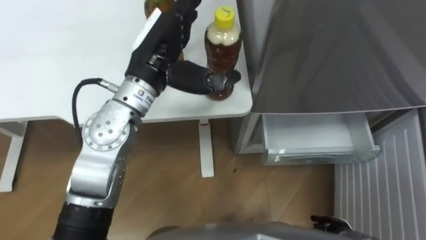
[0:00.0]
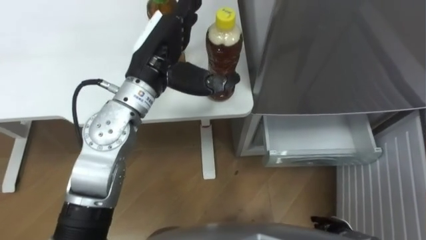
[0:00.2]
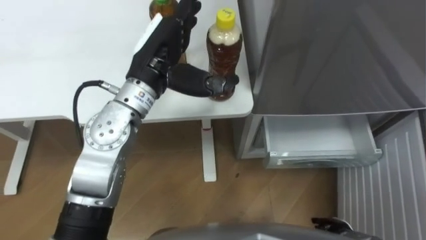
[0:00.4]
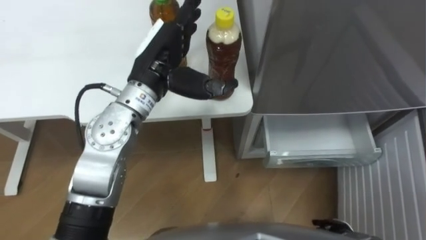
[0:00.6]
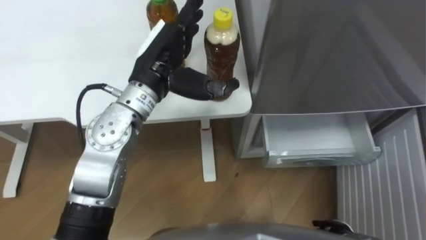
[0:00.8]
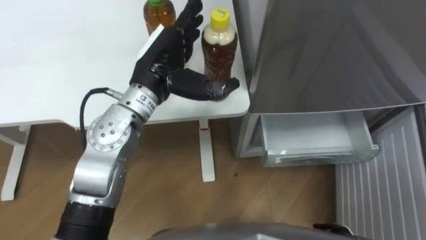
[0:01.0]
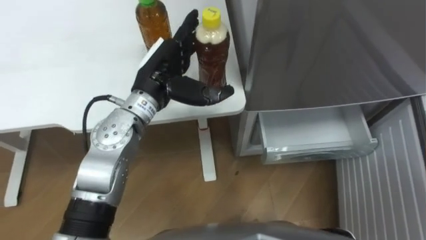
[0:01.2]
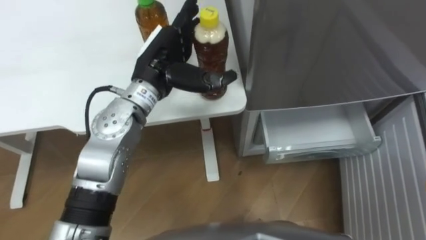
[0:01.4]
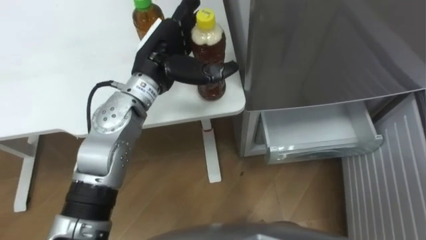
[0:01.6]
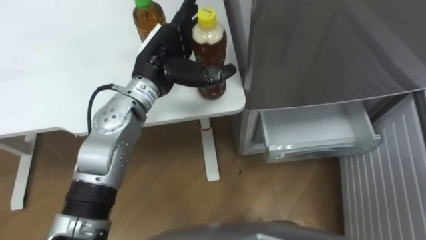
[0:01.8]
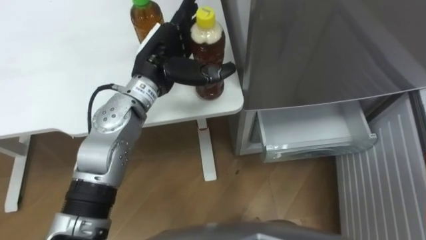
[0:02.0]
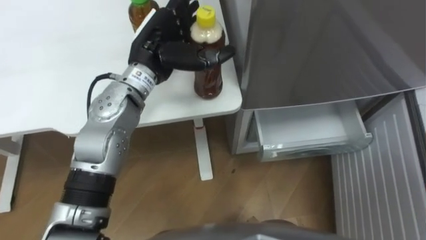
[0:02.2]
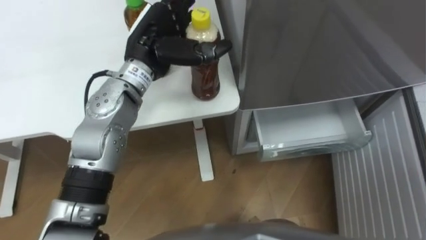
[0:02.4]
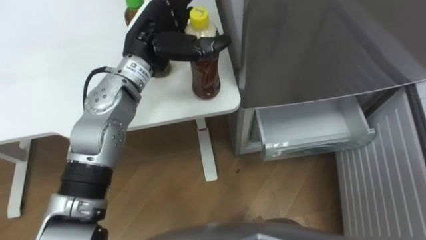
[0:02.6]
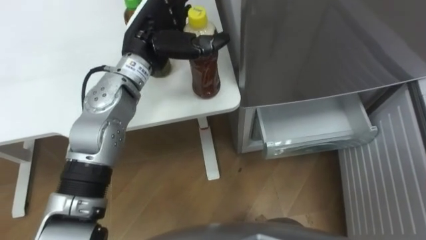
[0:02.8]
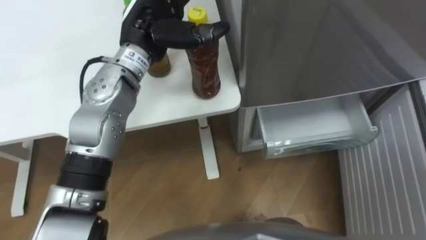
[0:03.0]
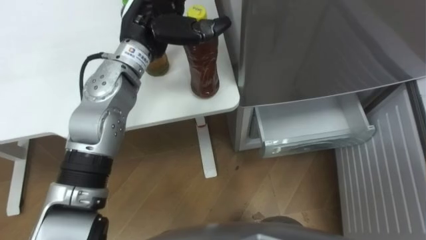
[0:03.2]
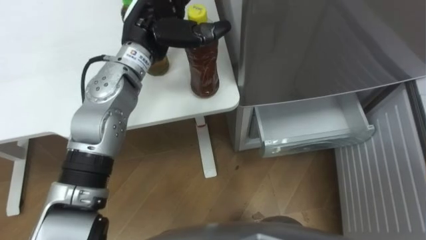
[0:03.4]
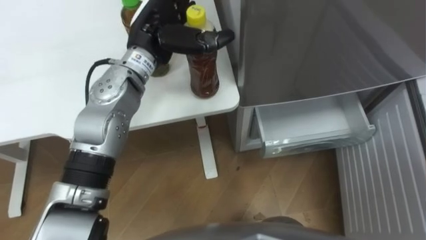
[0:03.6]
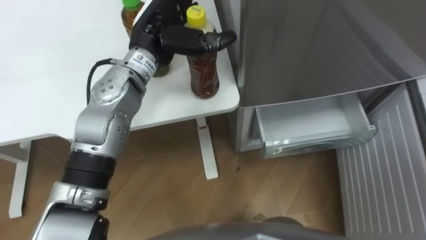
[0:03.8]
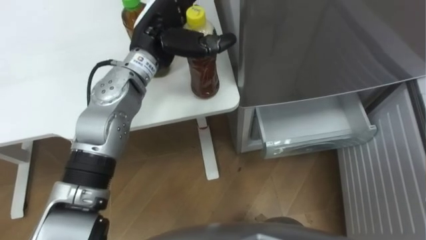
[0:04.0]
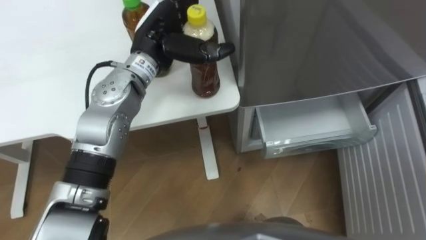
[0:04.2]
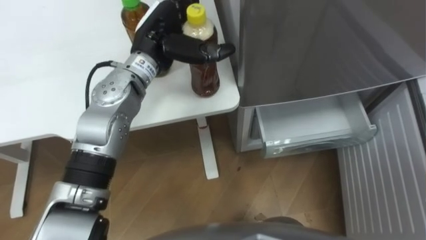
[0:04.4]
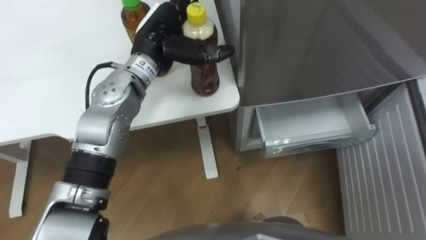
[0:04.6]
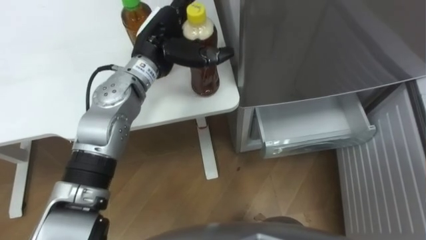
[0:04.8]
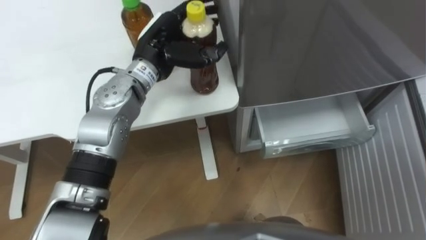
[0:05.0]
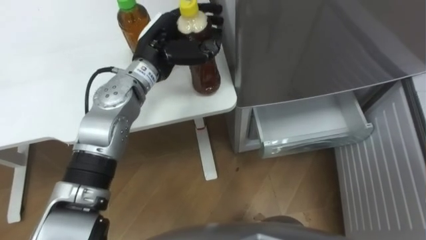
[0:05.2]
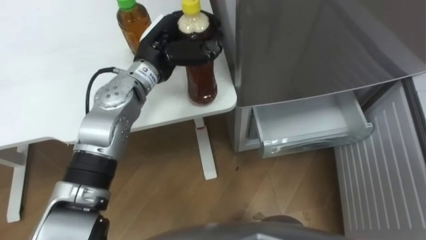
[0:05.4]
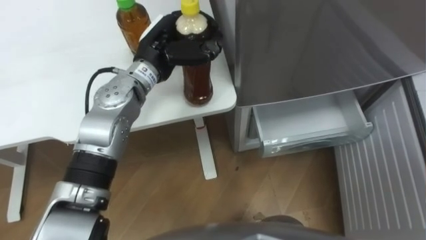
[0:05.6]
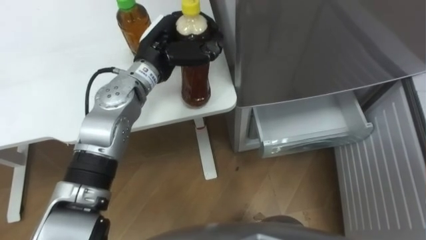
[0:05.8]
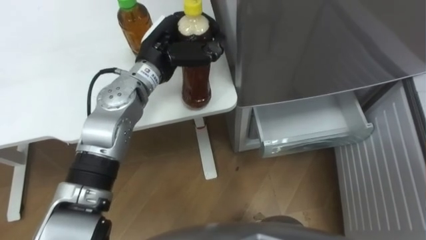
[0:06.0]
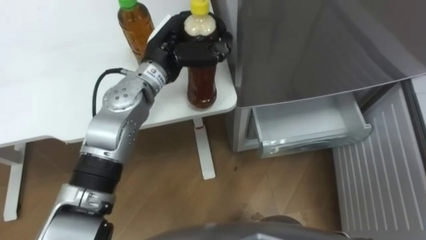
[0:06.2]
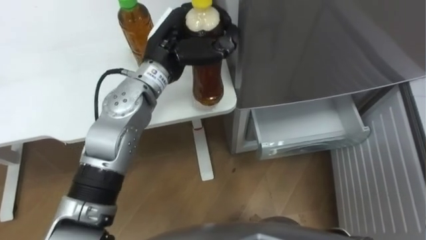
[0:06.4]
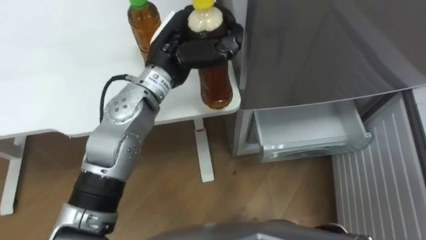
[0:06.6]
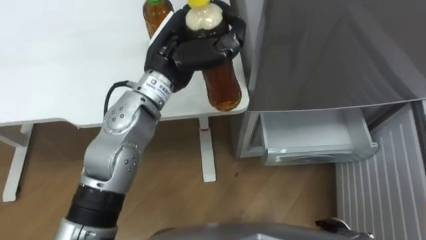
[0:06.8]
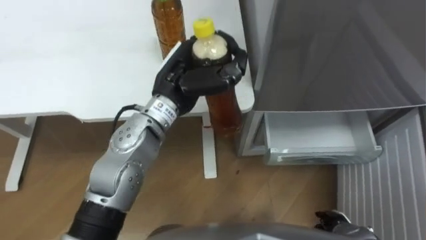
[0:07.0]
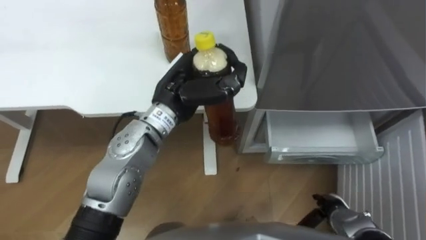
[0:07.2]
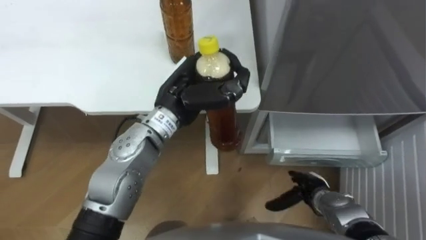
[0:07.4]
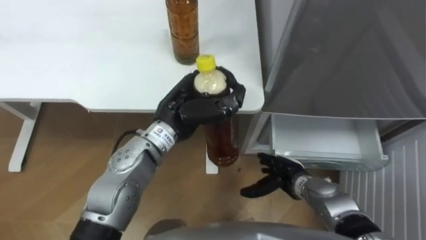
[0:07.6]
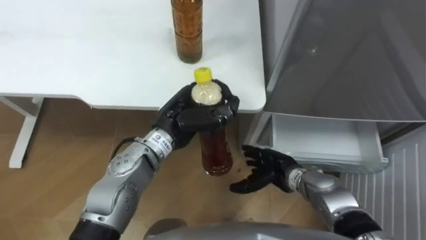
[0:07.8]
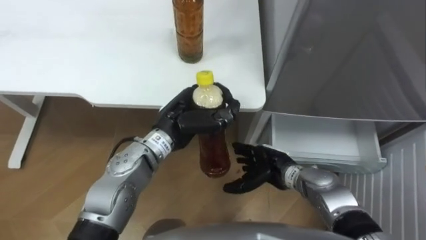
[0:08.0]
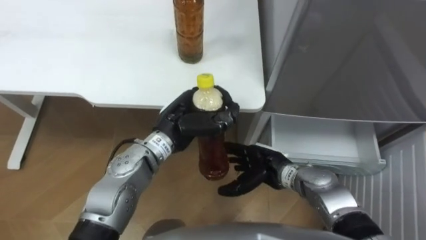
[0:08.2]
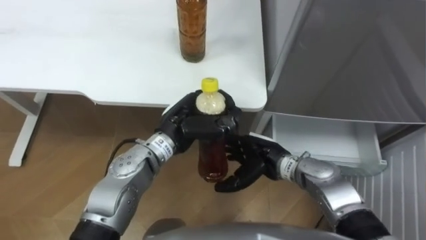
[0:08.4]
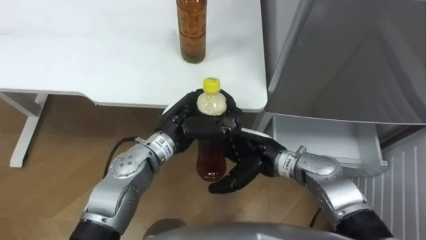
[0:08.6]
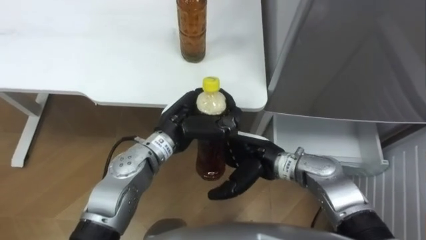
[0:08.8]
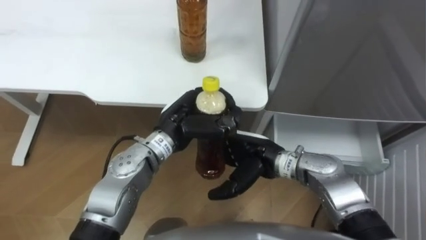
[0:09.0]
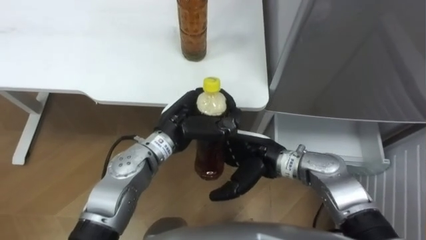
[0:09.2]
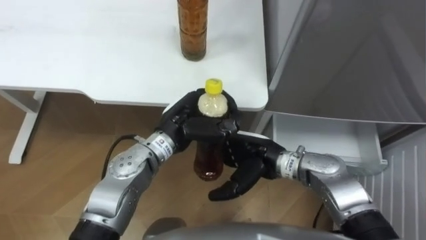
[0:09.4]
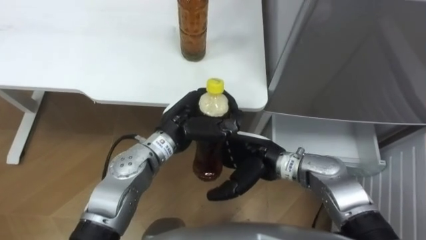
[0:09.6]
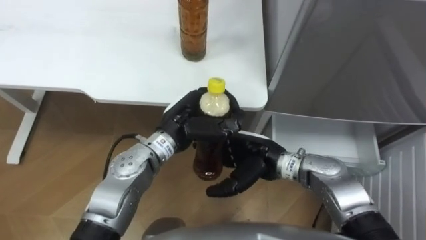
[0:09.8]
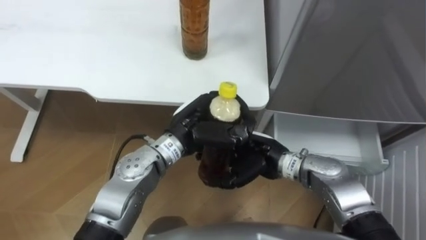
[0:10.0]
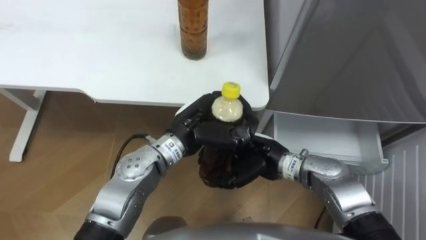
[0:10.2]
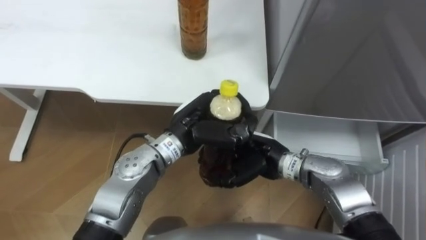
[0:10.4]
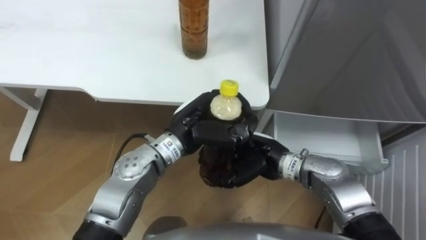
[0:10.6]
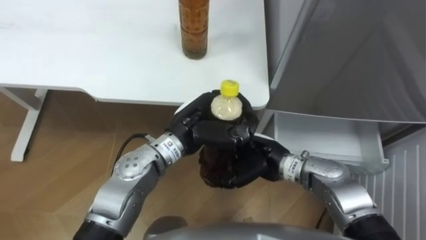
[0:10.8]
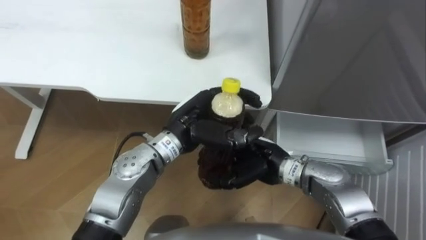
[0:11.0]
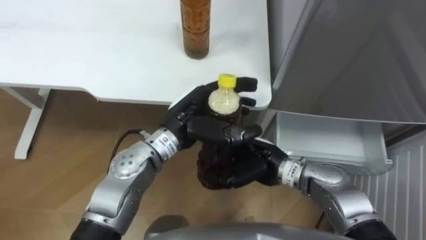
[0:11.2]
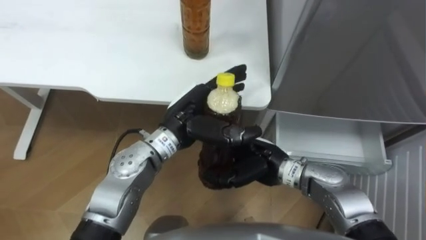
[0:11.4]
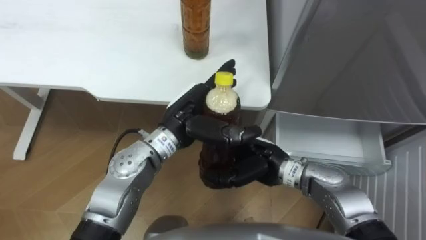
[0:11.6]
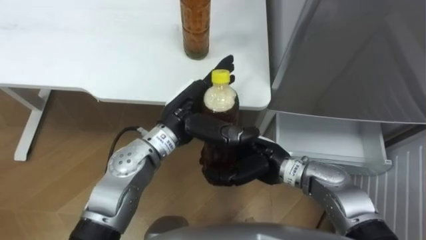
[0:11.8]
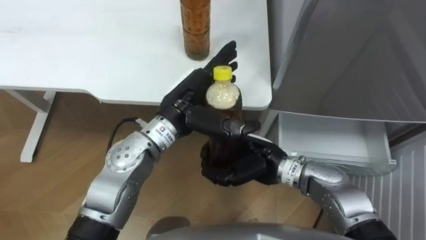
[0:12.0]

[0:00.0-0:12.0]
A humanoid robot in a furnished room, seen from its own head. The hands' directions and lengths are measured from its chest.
Task of the whole recording: Place the drink on the table on the bottom shelf of the refrigerator, then close the drawer and the refrigerator door.
4.4 to 6.0 s: The left hand closes.
6.0 to 7.6 s: The left hand shifts some 10 cm backward.
7.6 to 9.0 s: The right hand moves upward and to the left, about 15 cm.
9.0 to 10.4 s: The right hand closes up.
10.4 to 12.0 s: The left hand opens its fingers.

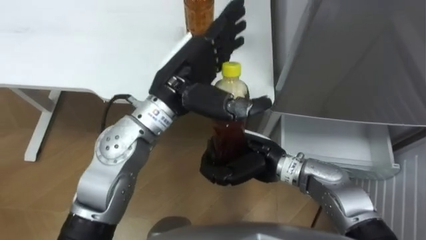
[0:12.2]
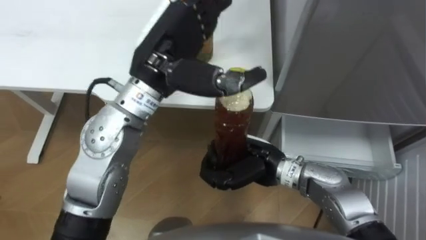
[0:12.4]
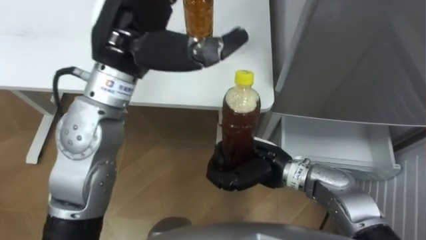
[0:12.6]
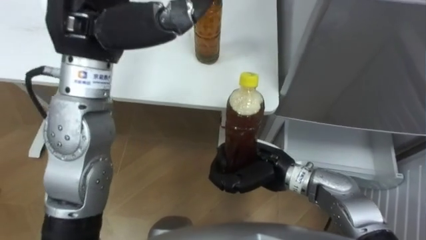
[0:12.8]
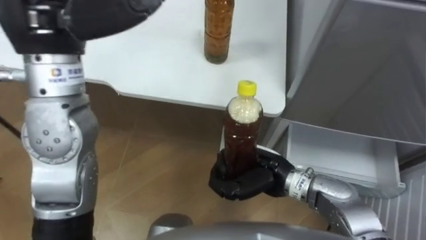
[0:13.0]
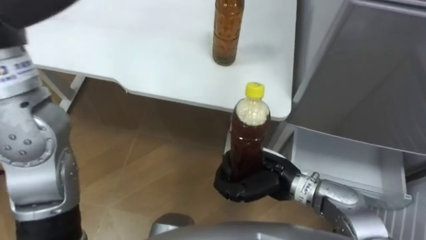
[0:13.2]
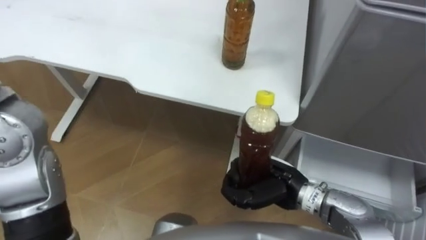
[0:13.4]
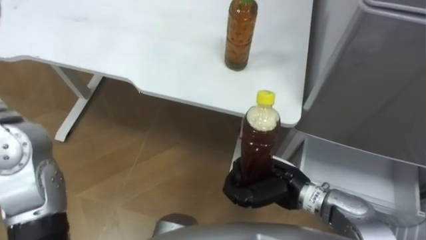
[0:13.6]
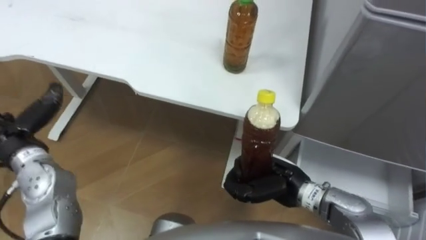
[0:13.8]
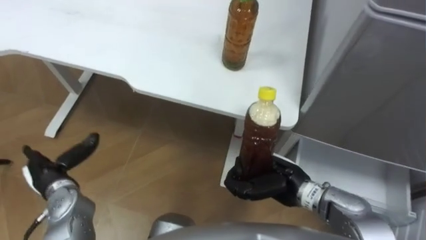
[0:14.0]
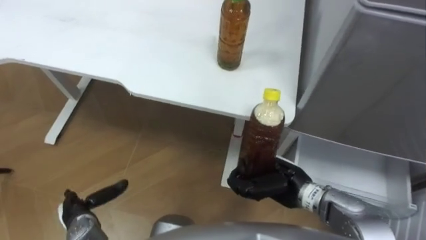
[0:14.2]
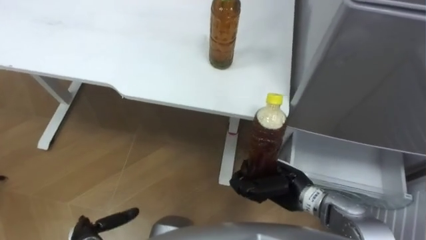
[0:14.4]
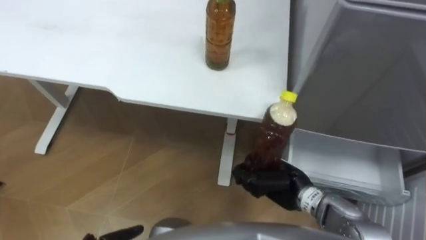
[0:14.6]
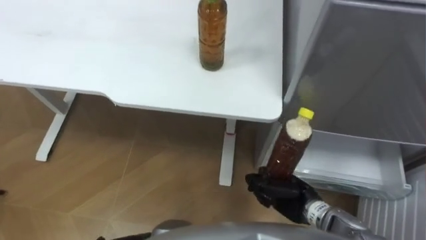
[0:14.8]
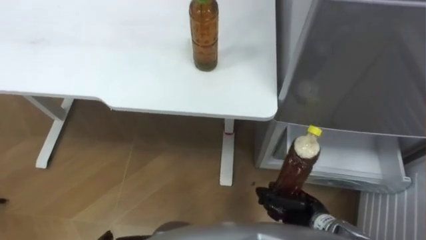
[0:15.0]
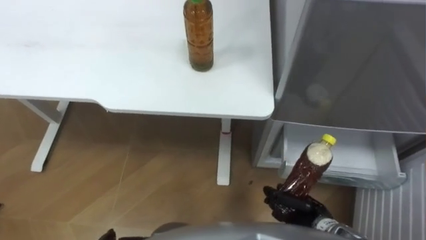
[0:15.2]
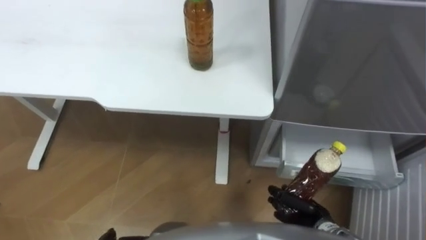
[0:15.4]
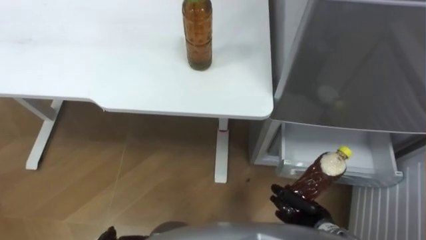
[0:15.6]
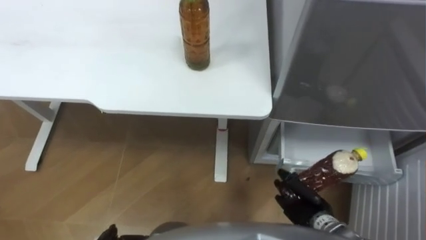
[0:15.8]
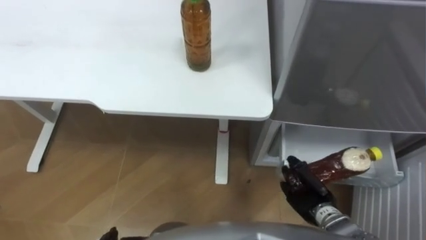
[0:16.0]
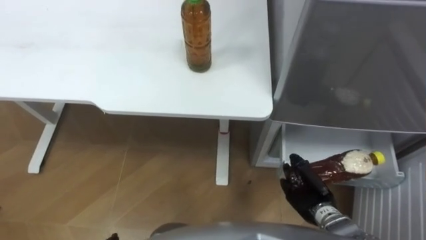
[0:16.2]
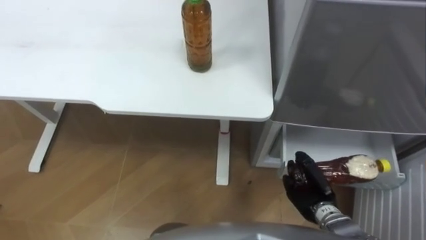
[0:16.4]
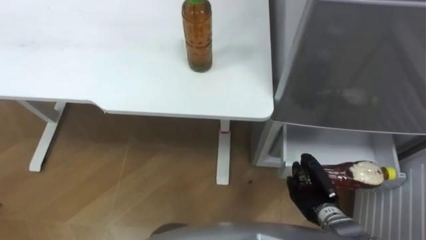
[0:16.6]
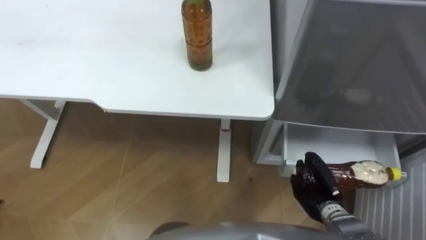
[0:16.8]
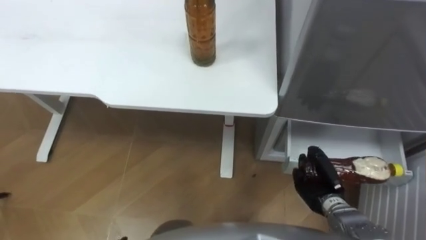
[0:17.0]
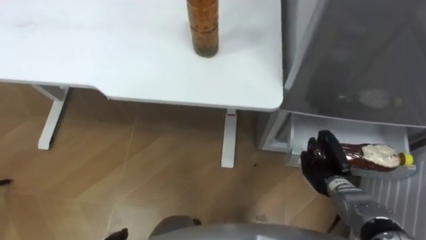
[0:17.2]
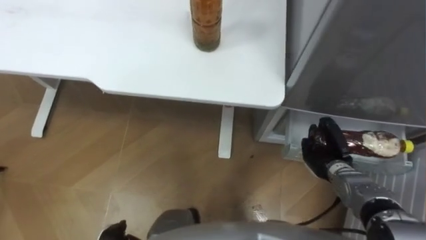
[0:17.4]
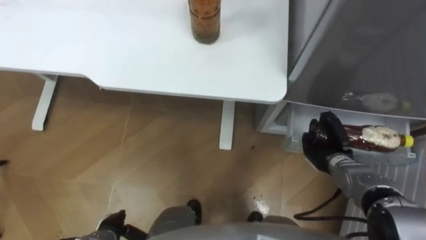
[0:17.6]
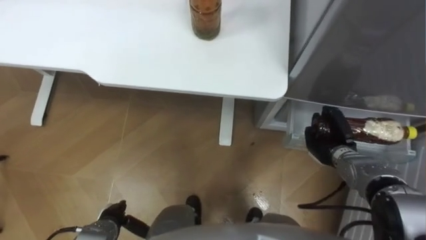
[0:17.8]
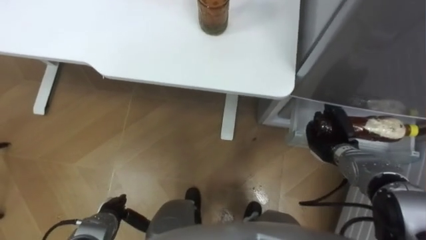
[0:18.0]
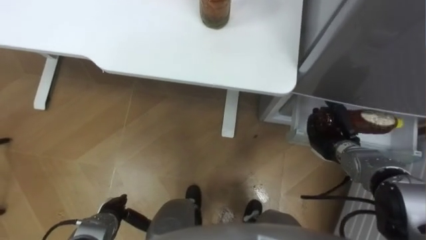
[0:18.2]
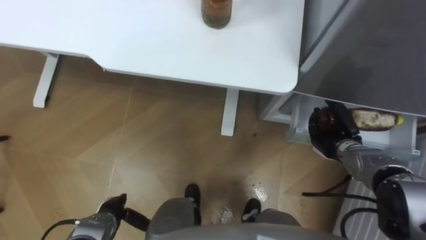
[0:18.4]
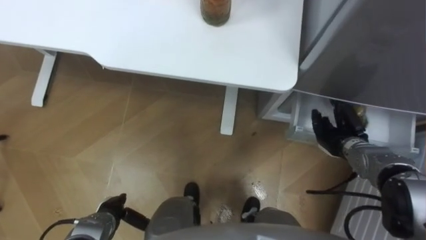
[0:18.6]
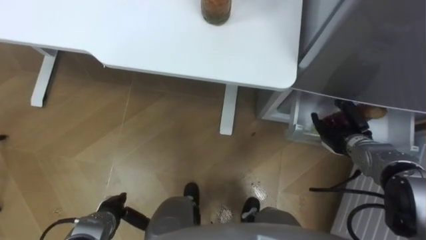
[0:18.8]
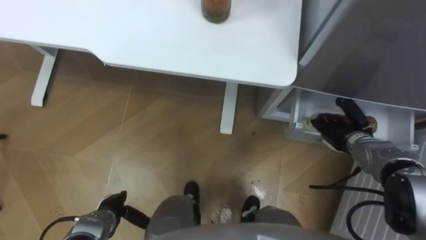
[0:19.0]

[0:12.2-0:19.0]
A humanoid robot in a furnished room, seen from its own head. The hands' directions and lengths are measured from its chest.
Task of the whole recording: Place the drink on the table on the bottom shelf of the refrigerator, then close the drawer and the refrigerator door.
12.2 to 13.6 s: The right hand goes roughly 5 cm to the right.
13.6 to 15.0 s: The right hand shifts about 10 cm downward and to the right.
16.2 to 17.6 s: The right hand goes roughly 10 cm forward.
17.6 to 19.0 s: The right hand ends up about 5 cm from where it was, and opens.
